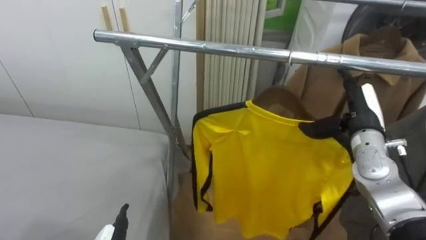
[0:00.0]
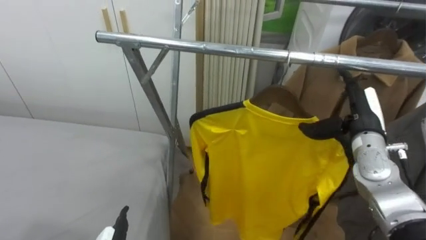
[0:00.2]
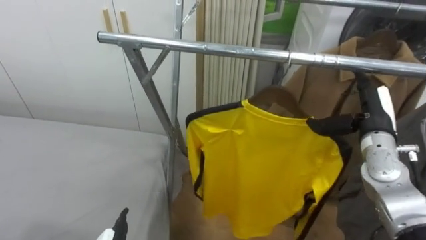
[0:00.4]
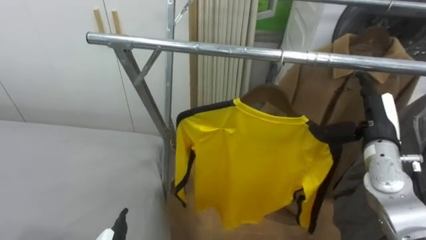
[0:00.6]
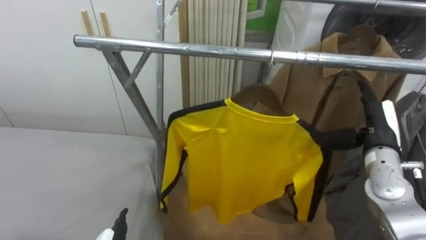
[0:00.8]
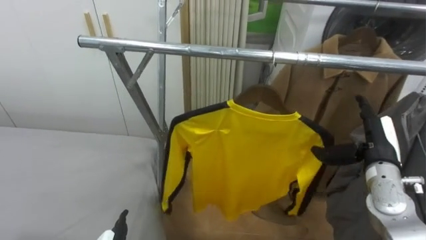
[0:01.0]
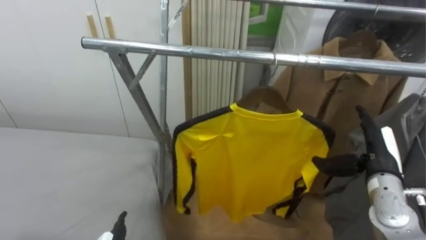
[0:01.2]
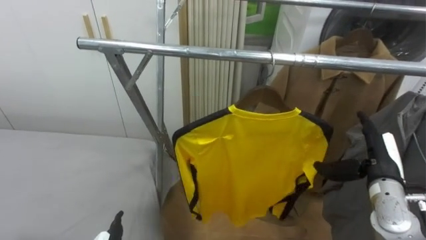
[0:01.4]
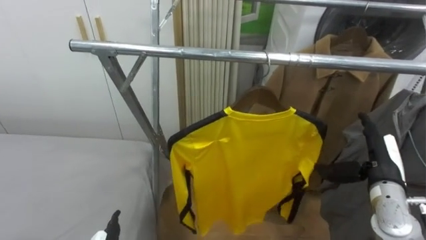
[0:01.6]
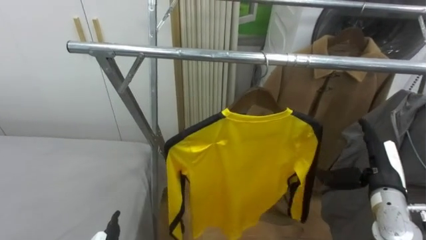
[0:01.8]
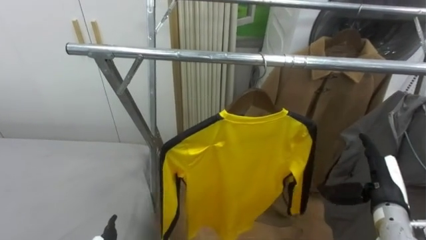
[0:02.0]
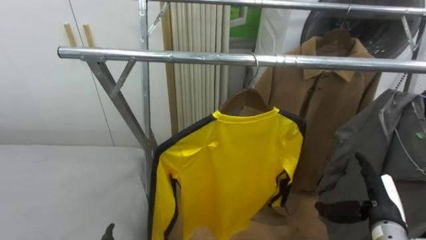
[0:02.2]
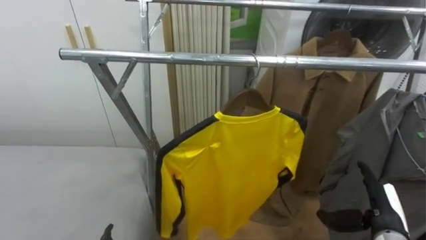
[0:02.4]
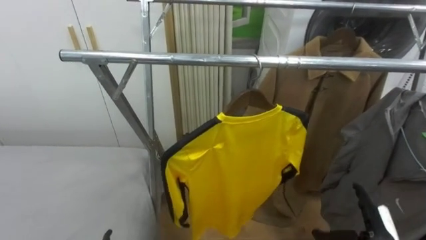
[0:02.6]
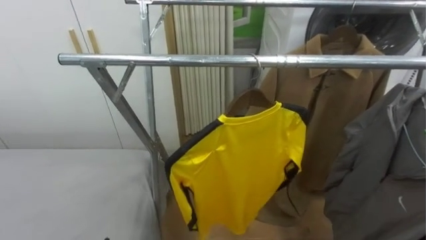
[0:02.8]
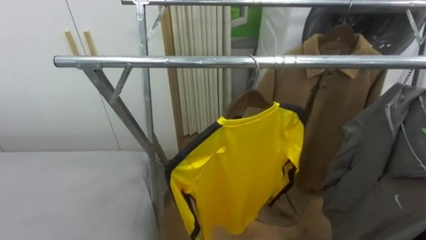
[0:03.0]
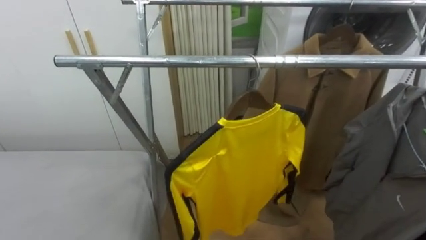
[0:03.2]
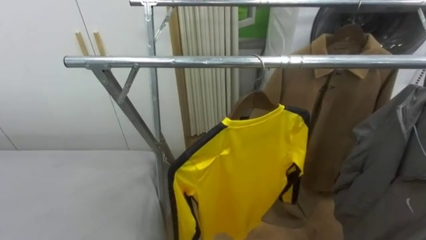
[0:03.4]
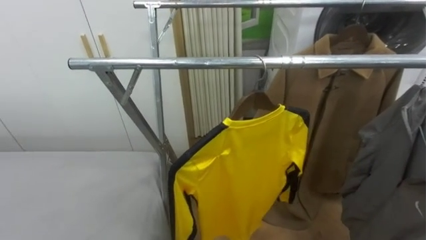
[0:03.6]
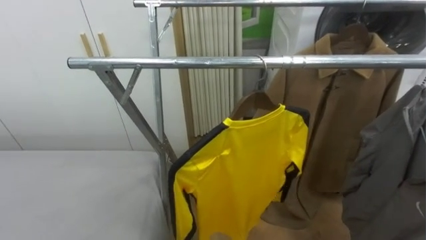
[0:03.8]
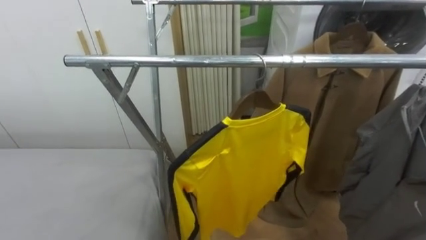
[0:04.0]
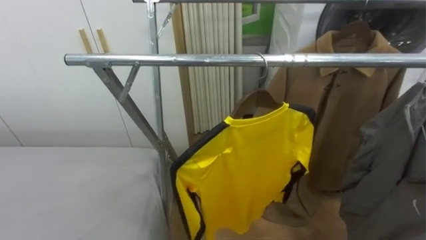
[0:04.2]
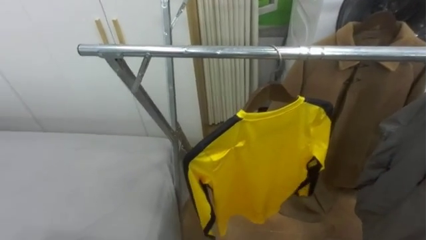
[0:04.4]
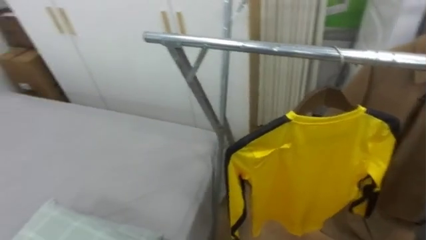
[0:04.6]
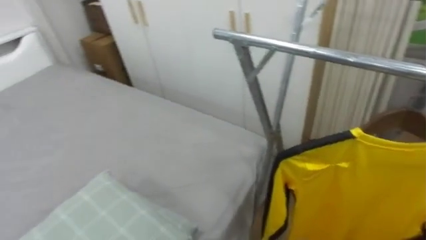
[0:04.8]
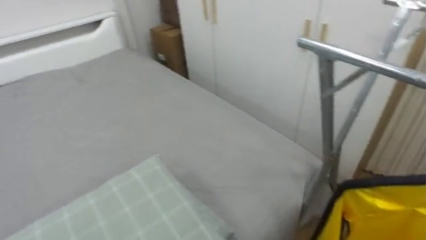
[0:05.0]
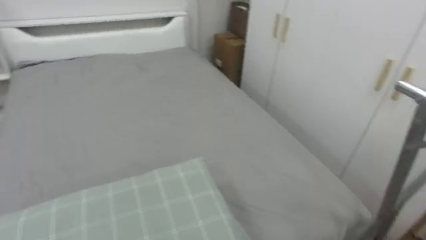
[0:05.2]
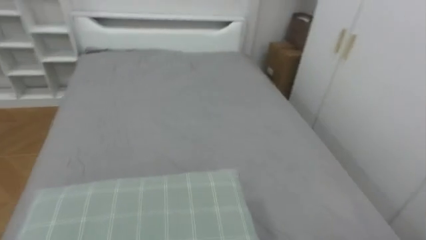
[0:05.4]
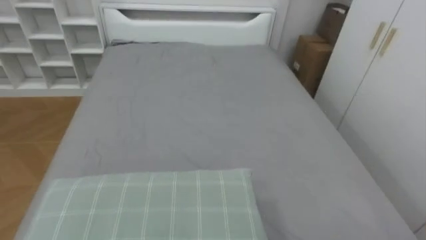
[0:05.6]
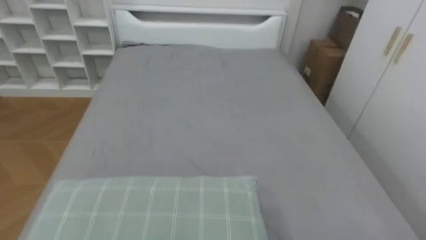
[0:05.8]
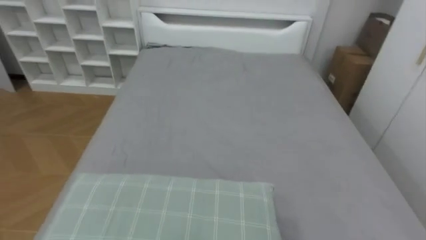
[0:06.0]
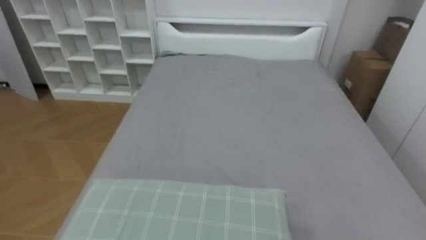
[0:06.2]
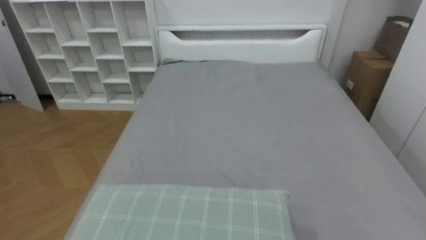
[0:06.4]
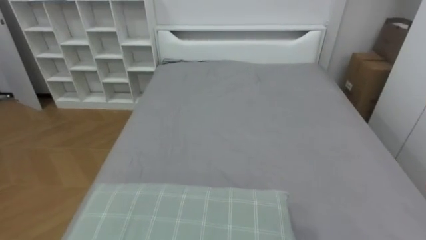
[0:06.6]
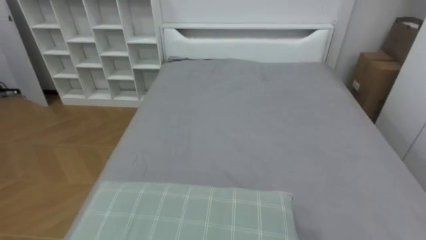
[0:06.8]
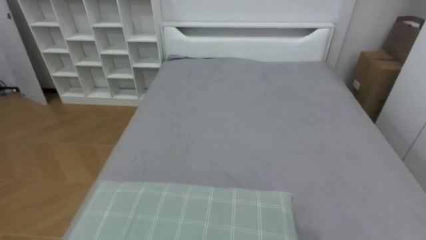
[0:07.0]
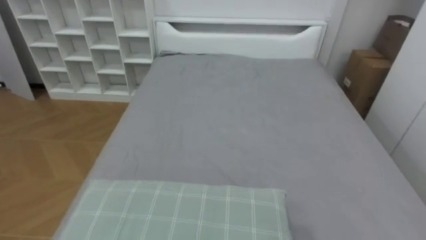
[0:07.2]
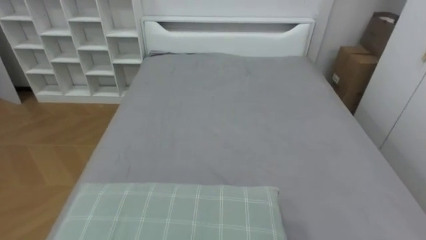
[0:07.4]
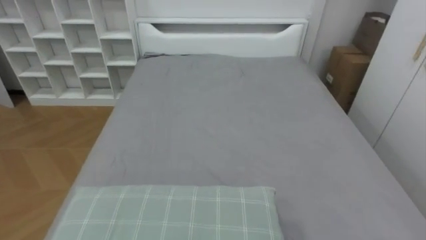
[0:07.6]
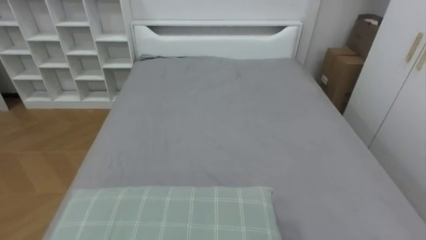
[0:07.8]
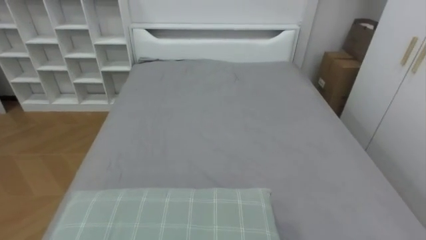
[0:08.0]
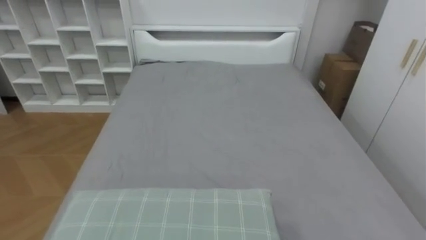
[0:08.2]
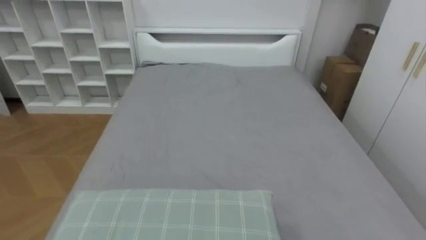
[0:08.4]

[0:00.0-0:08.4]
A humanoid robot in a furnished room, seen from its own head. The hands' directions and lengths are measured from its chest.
Task of the whole recording: Pick up the yellow shirt on the bed and hang it on the clothes rack on the right.
0:00.0 to 0:01.4: The right hand goes approximately 10 cm downward and backward.
0:04.2 to 0:05.6: The robot's body swings roughly 80 degrees to its left.

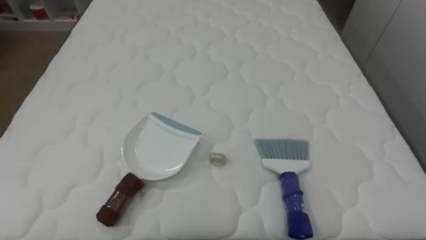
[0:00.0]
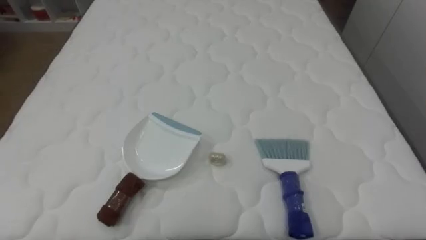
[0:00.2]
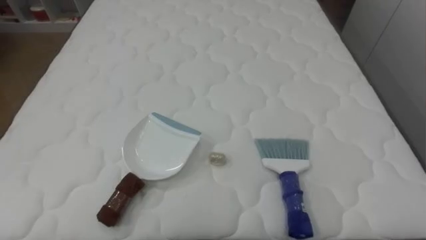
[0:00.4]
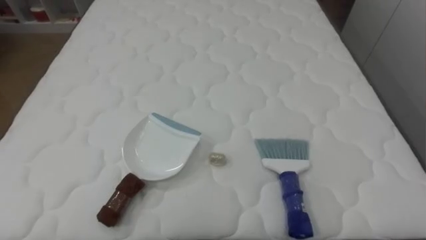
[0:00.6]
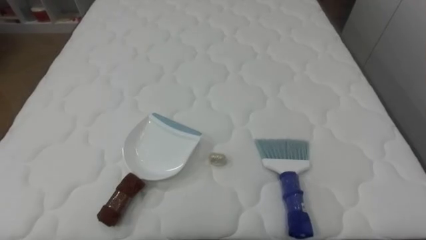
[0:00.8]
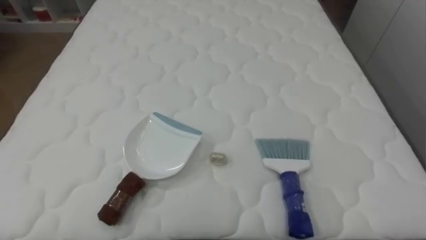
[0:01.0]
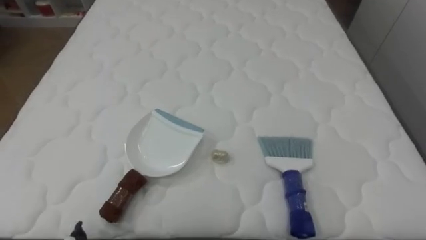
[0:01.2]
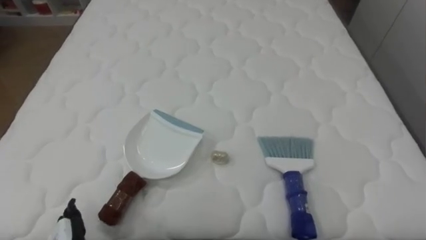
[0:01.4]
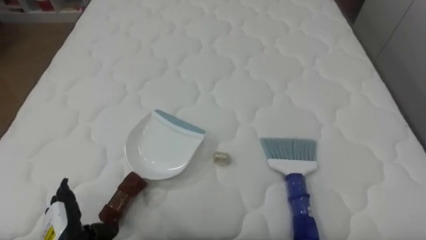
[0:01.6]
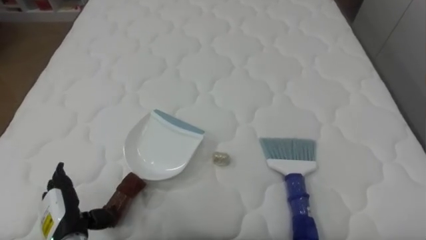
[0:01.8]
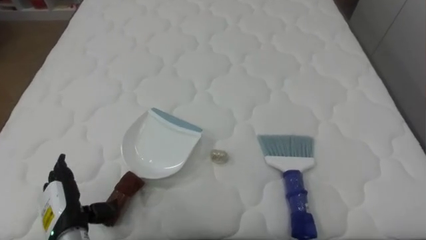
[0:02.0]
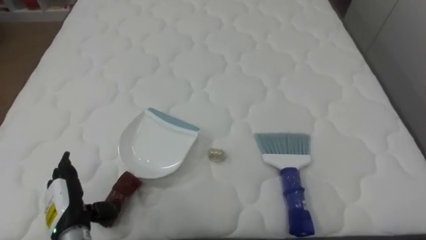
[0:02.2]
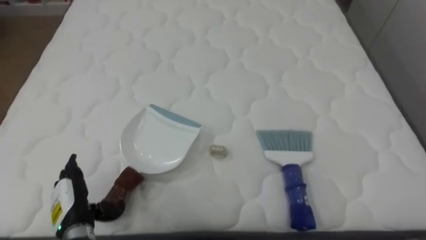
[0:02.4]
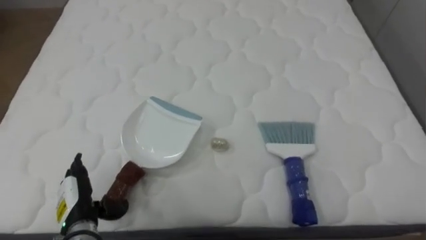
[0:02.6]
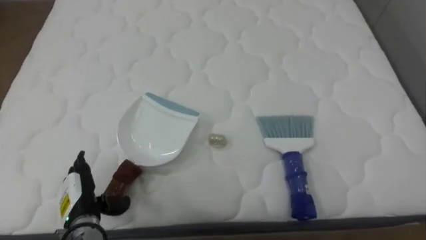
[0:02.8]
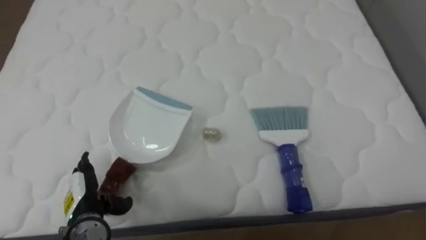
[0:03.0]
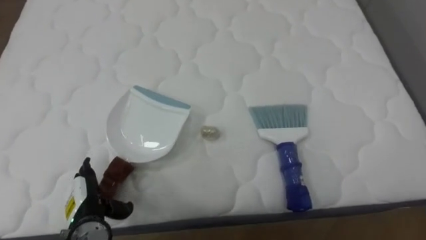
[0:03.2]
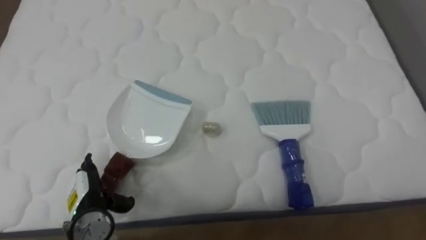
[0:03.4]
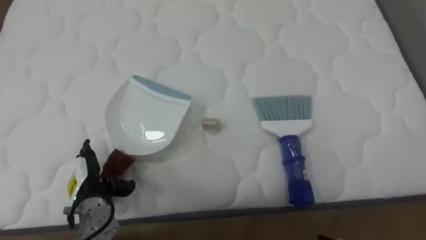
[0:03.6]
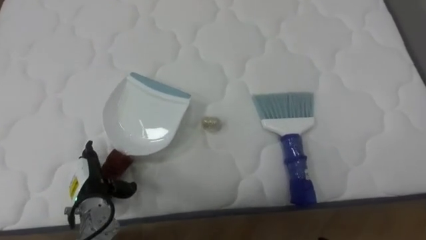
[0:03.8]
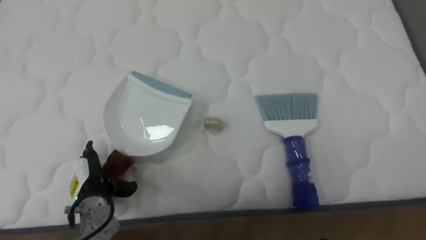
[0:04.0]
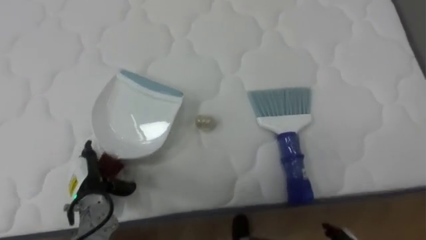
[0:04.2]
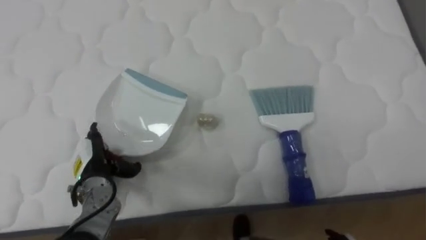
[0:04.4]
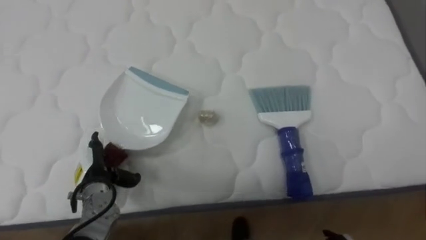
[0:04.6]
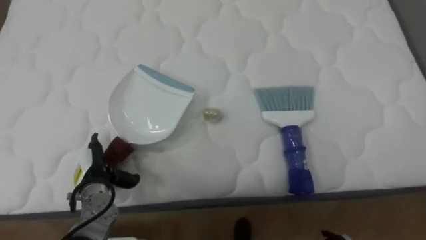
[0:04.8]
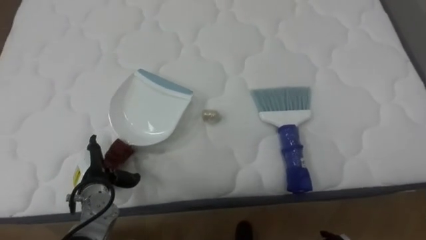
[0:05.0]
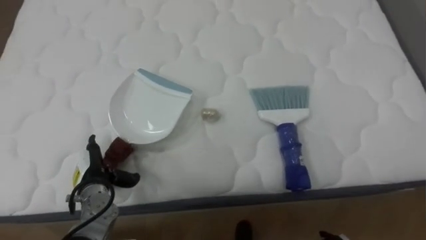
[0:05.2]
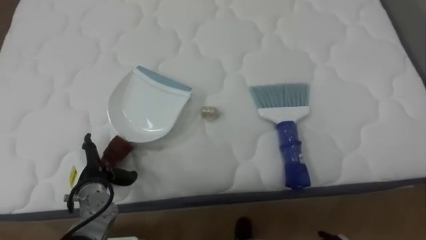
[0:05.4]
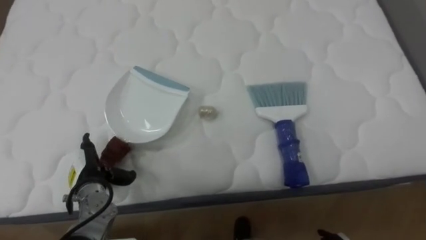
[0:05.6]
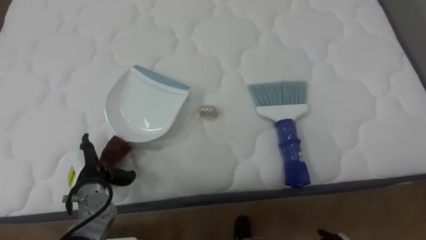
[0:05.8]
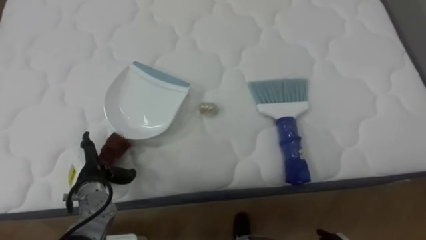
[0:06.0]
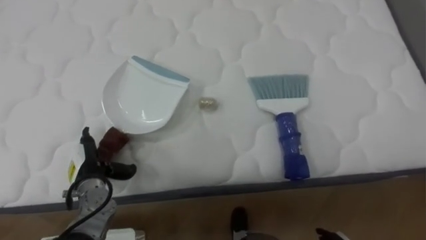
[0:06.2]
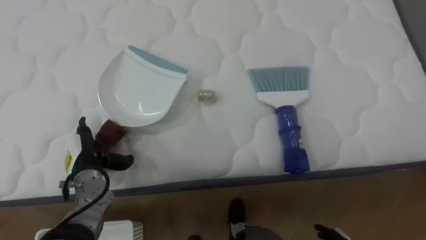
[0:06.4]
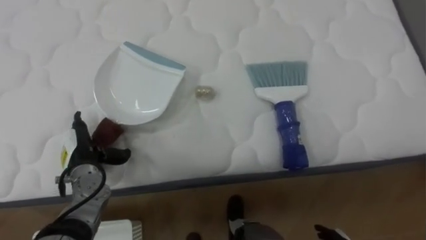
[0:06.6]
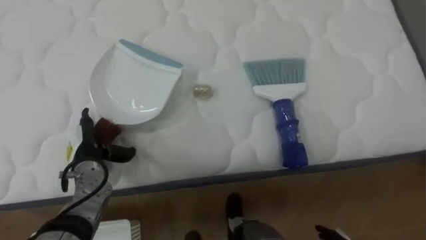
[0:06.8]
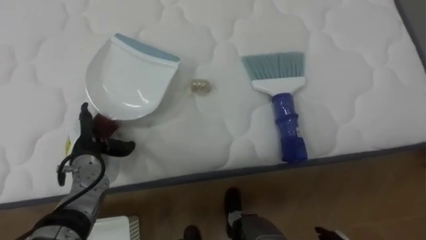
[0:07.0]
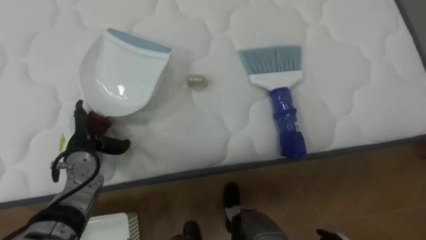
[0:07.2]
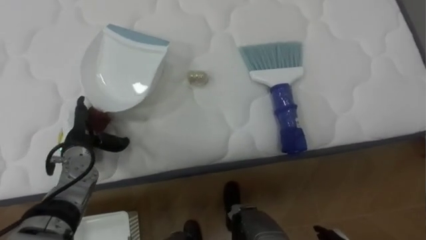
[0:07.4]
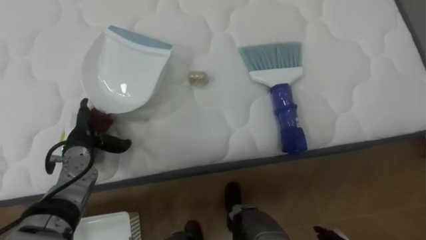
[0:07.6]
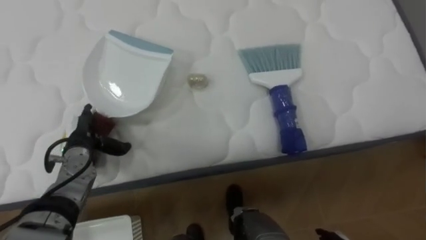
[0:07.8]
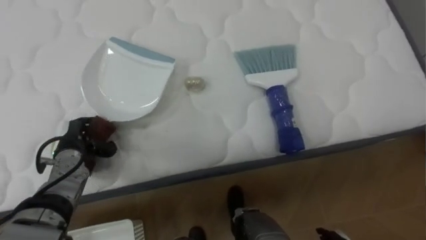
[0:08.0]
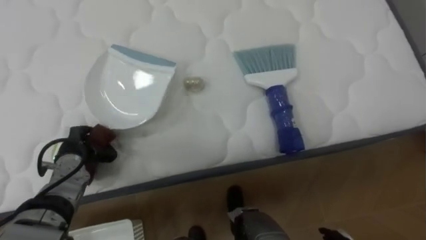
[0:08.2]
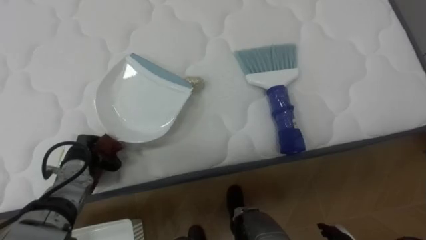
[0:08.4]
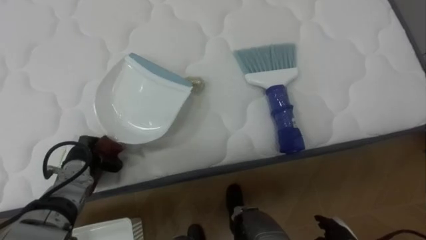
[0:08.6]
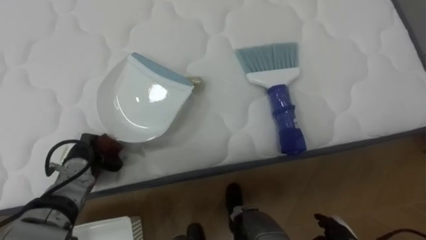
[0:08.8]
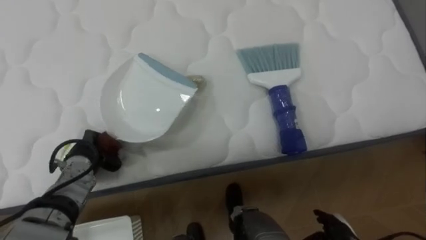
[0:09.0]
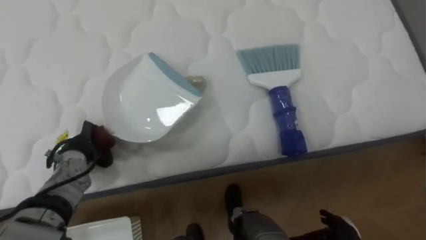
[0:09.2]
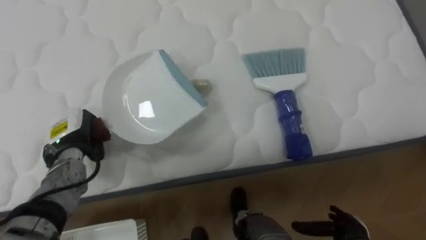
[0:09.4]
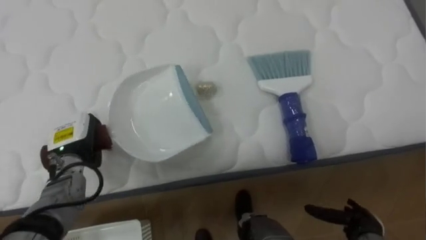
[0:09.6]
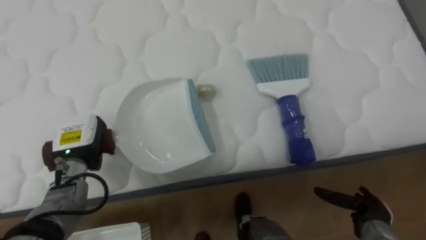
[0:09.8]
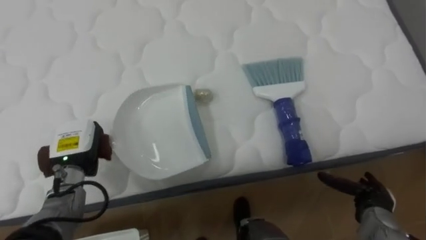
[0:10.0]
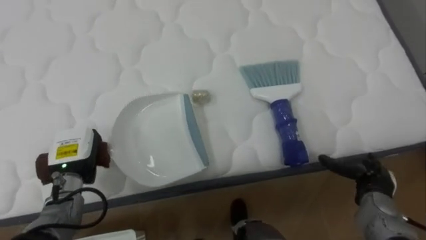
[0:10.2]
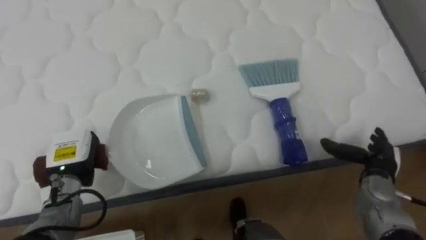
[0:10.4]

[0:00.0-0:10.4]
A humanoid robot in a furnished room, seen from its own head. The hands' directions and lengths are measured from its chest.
Task of the whole recording: Pick up the brush on your right and the dustpan on your left. Use the brush to sweep the crumpled paper on the bed into the dustpan, then turn left and empty it into the basket.
0:03.0 to 0:04.4: The left hand is displaced forward by about 5 cm.
0:06.0 to 0:07.4: The left hand is displaced forward and upward by approximately 10 cm.
0:07.4 to 0:09.0: The left hand closes its fingers.
